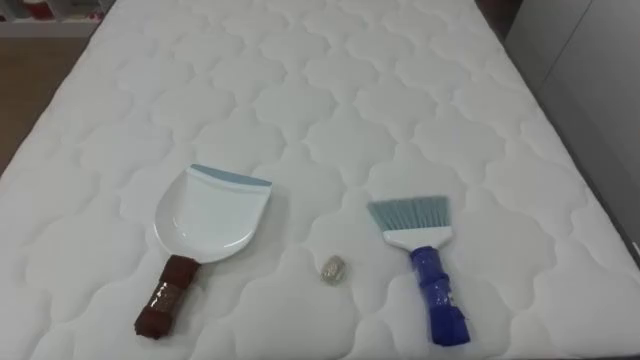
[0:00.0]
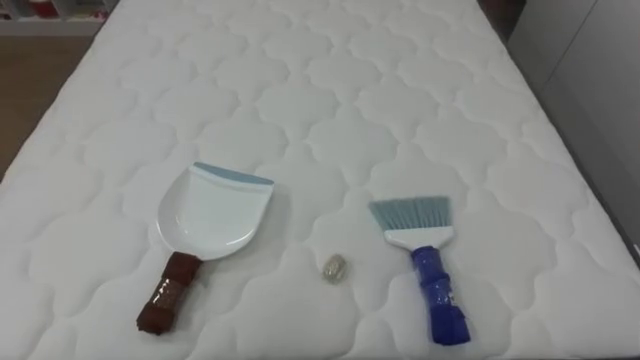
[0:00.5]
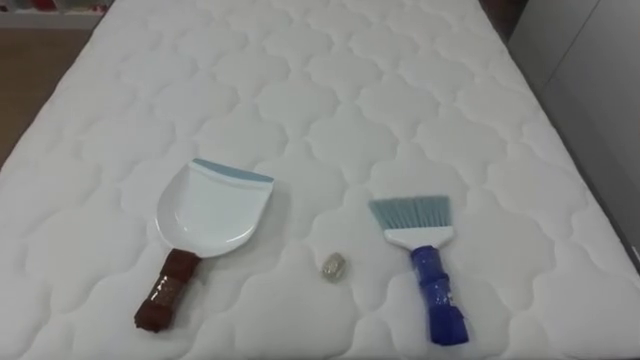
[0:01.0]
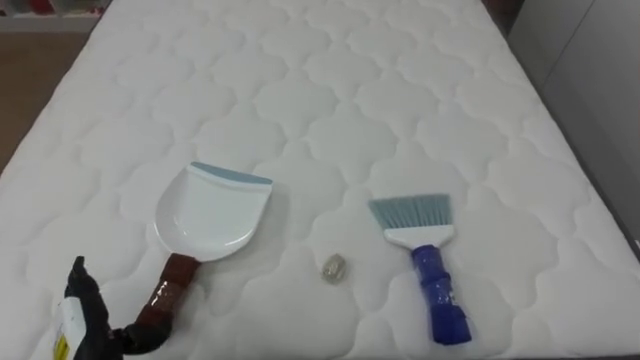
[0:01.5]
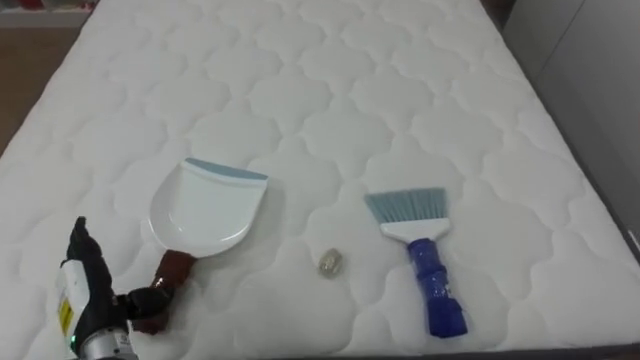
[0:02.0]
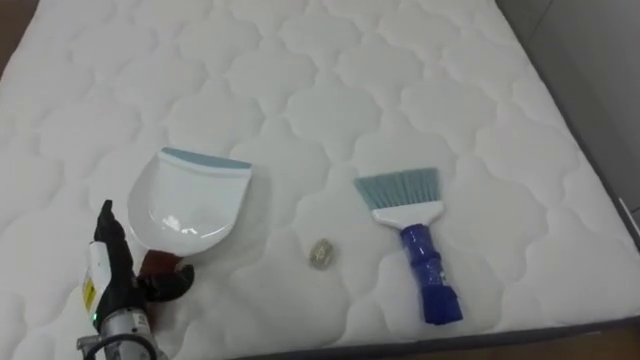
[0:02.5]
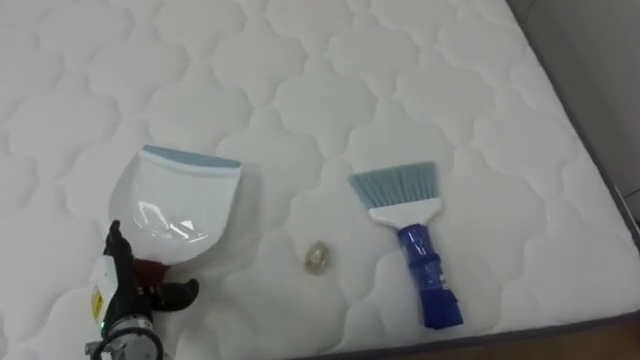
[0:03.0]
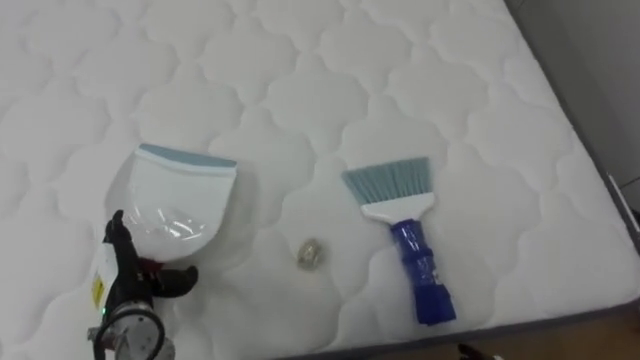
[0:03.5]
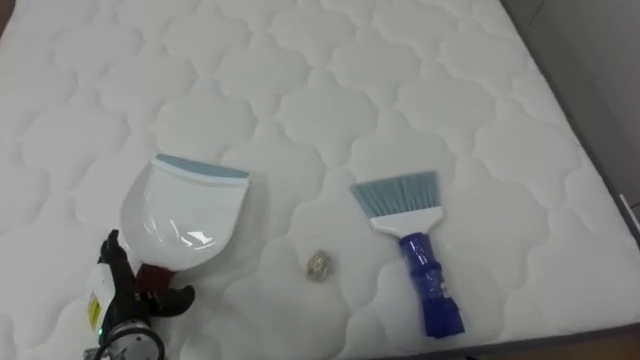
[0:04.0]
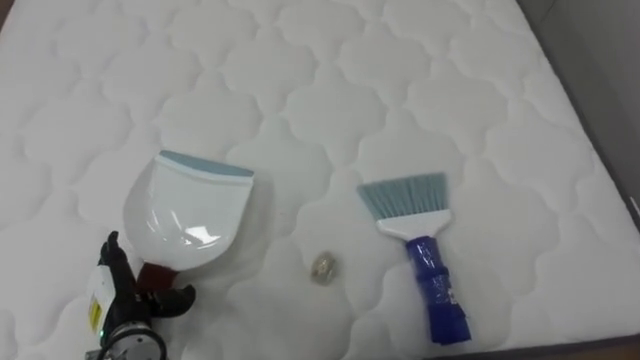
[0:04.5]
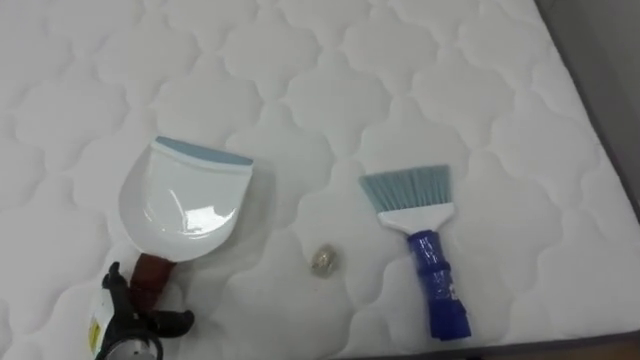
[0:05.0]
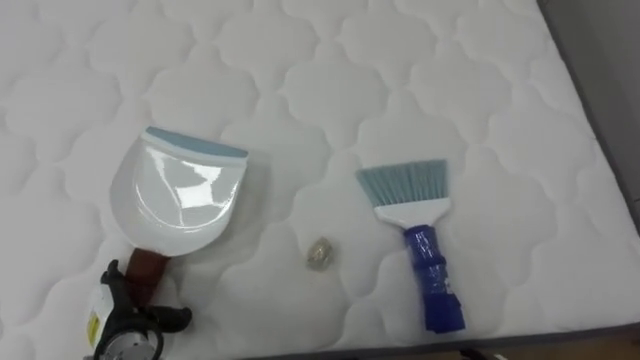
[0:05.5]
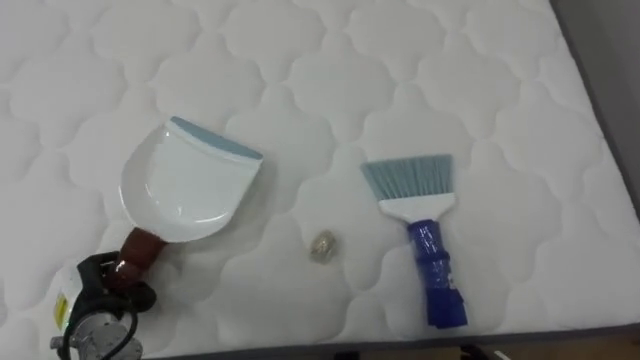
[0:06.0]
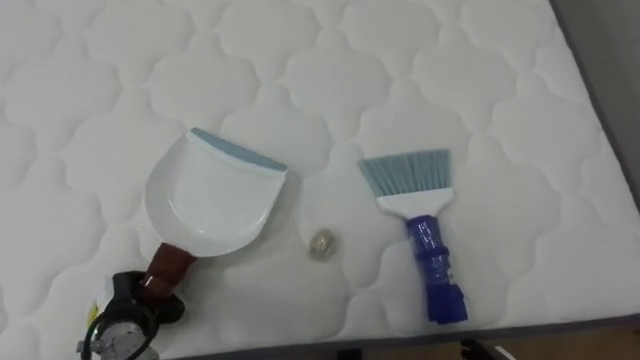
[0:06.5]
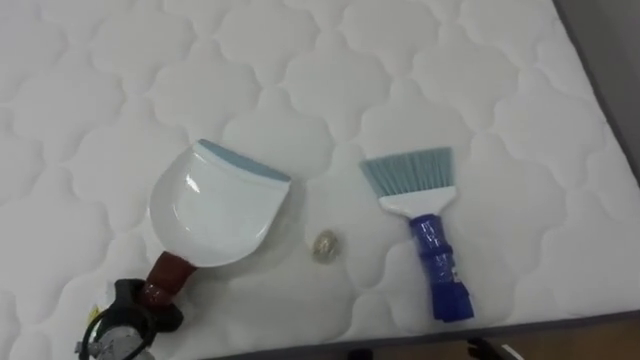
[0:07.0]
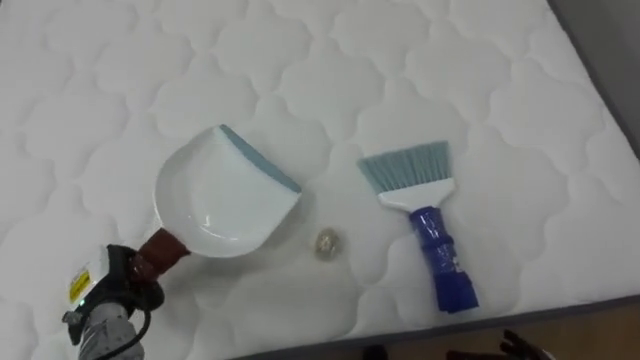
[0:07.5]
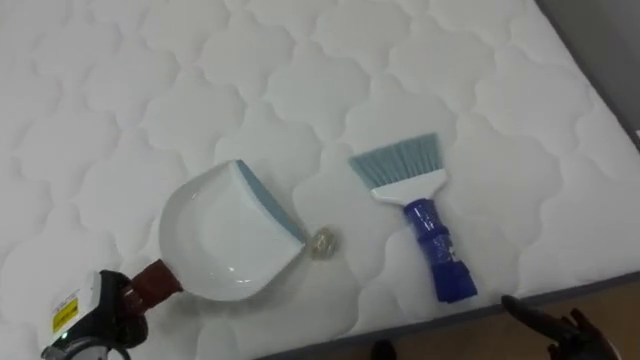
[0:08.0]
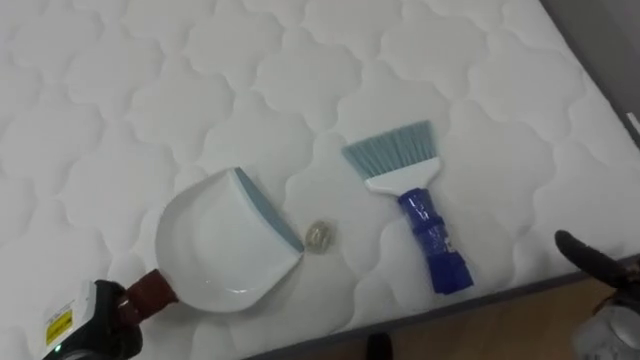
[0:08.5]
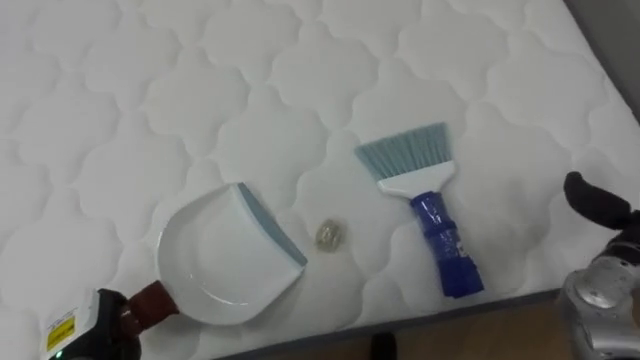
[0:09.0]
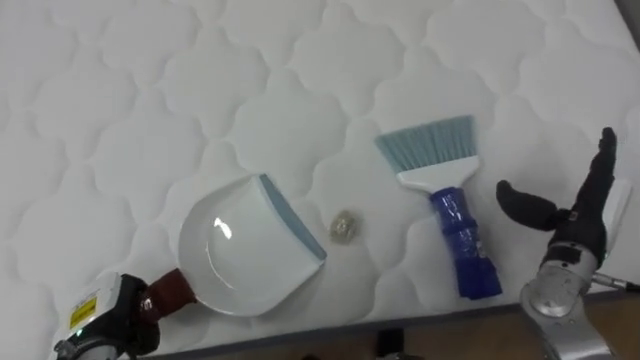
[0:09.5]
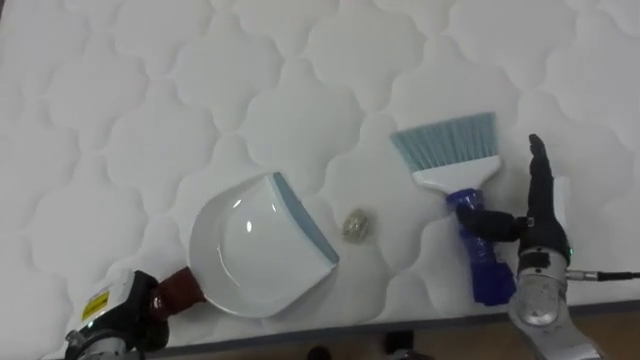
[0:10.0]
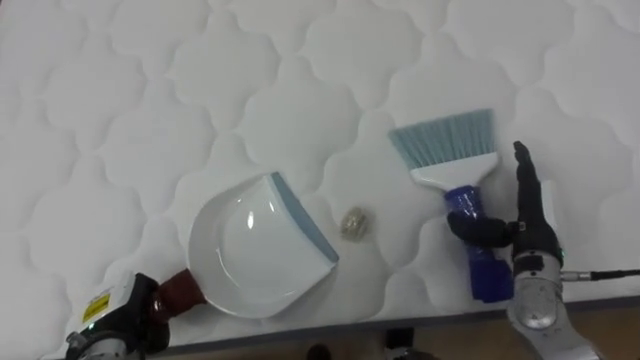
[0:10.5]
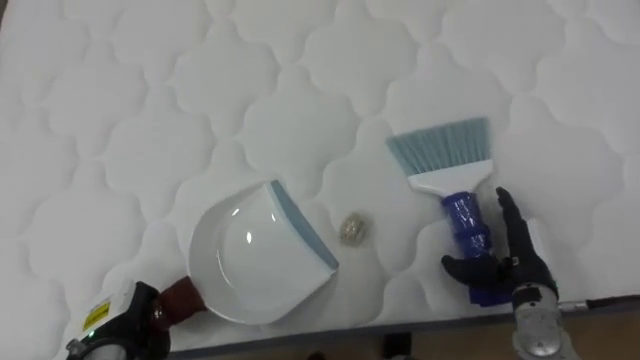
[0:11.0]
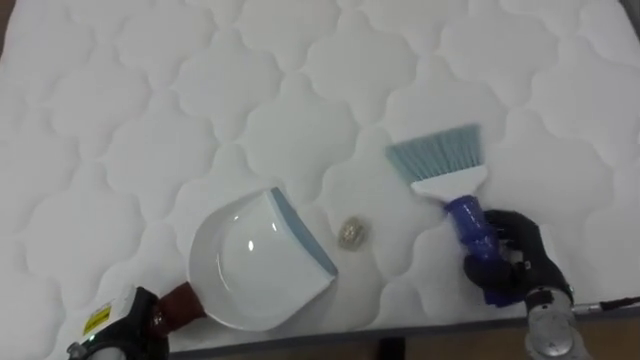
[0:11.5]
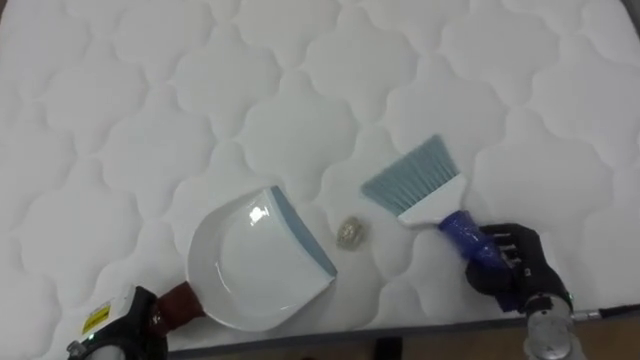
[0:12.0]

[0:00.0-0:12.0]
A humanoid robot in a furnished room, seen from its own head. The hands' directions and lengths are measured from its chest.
Task of the whole recording: Pick up the brush on your right and the dustpan on your left. Use the brush to sweep the crumpled paper on the bed into the dustpan, then turn left and empty it into the basket.
0:04.0 to 0:06.0: The left hand closes its fingers.
0:06.0 to 0:08.0: The left hand closes up.
0:10.0 to 0:12.0: The right hand heads downward, covering roughly 10 cm, and closes up.

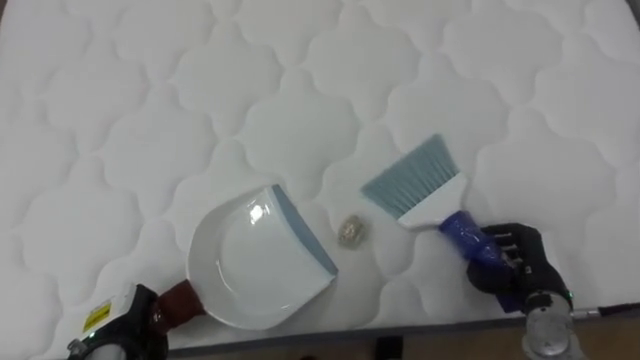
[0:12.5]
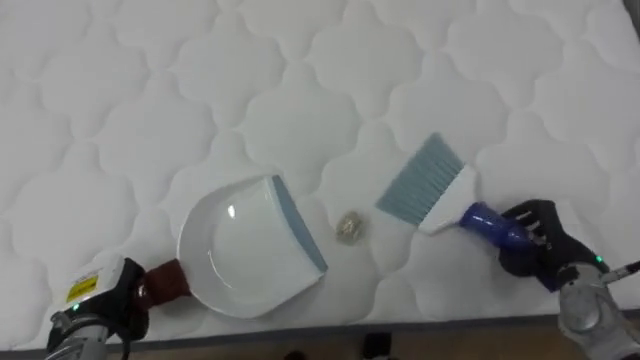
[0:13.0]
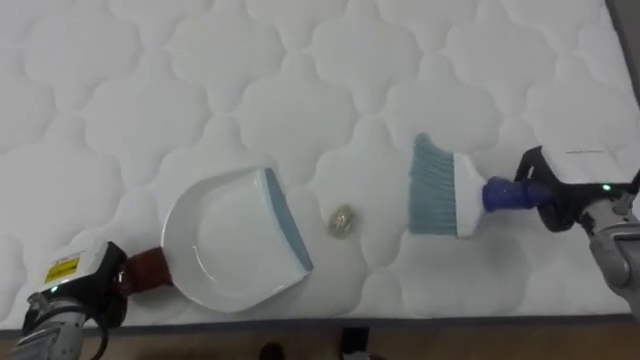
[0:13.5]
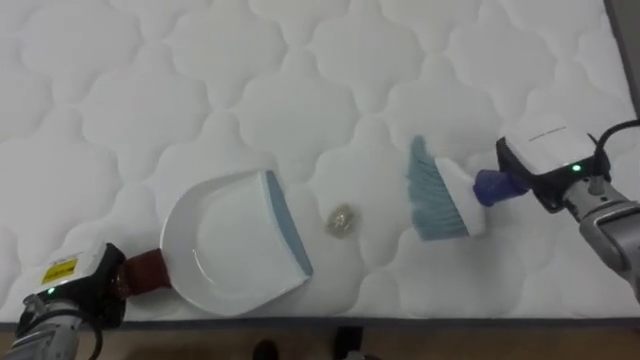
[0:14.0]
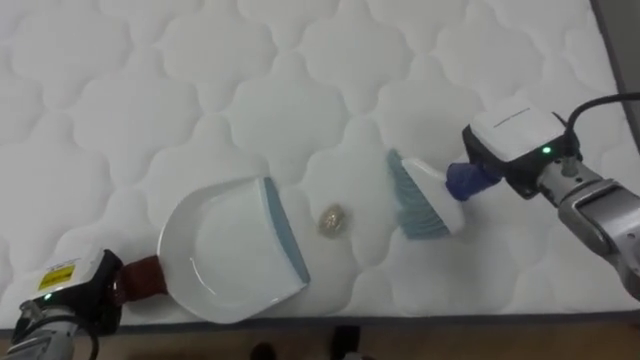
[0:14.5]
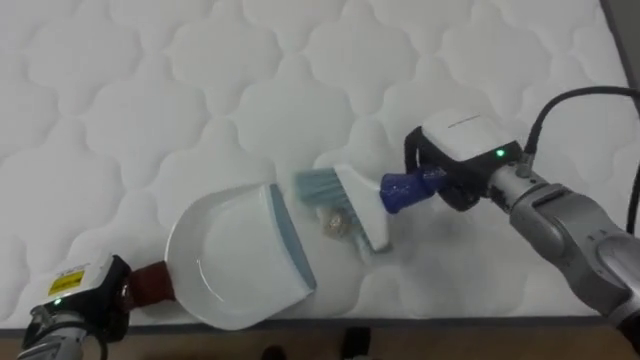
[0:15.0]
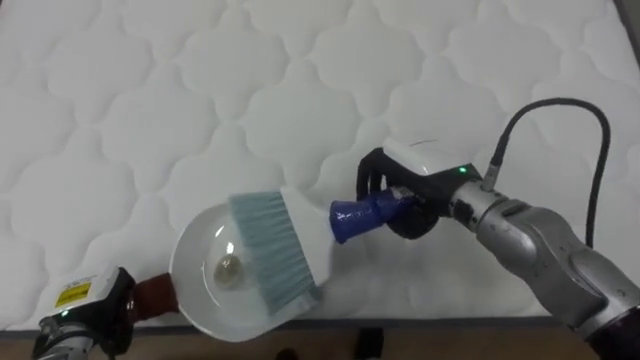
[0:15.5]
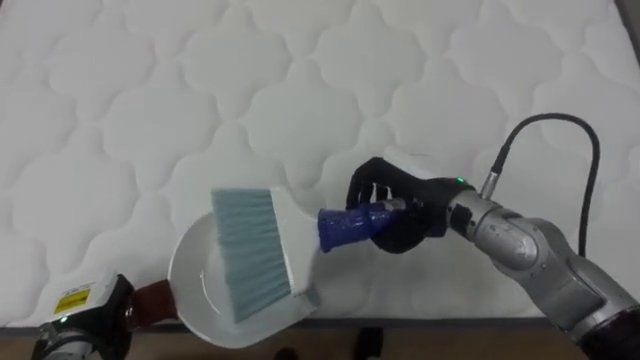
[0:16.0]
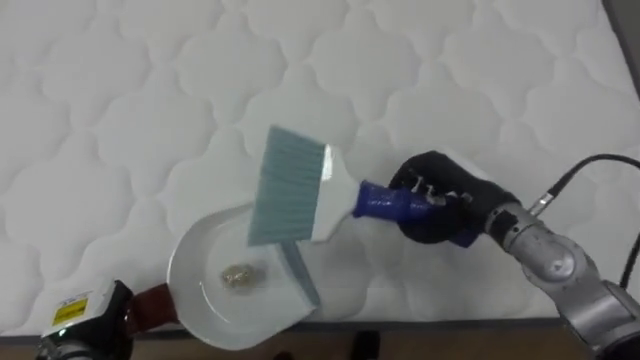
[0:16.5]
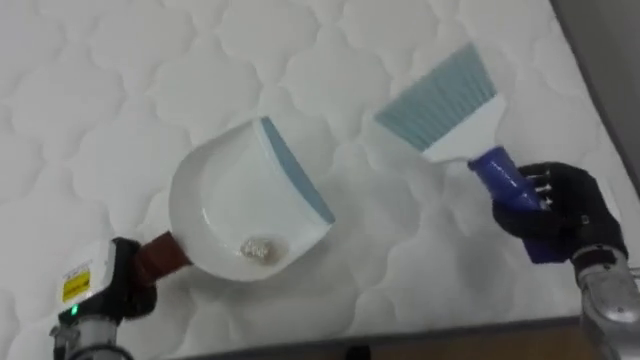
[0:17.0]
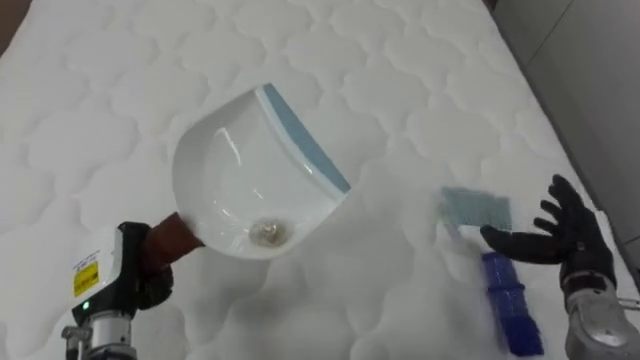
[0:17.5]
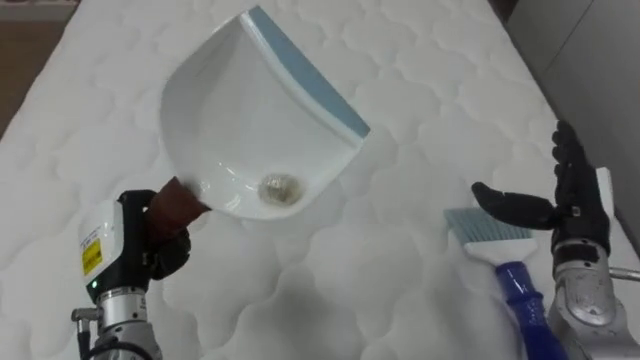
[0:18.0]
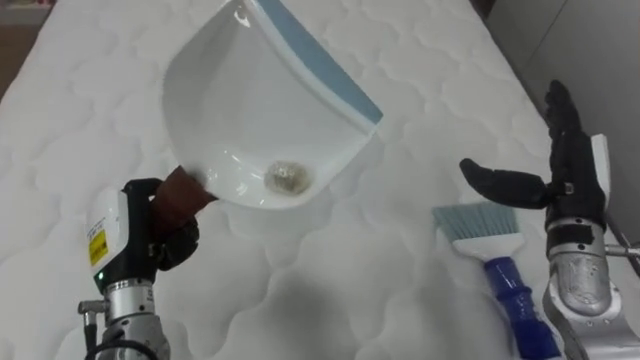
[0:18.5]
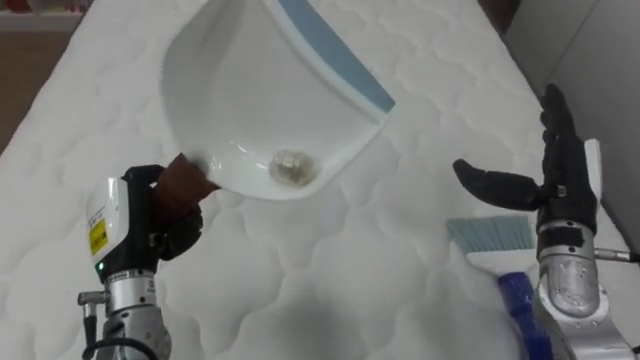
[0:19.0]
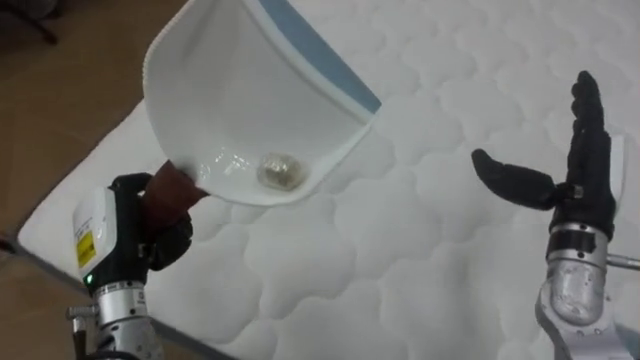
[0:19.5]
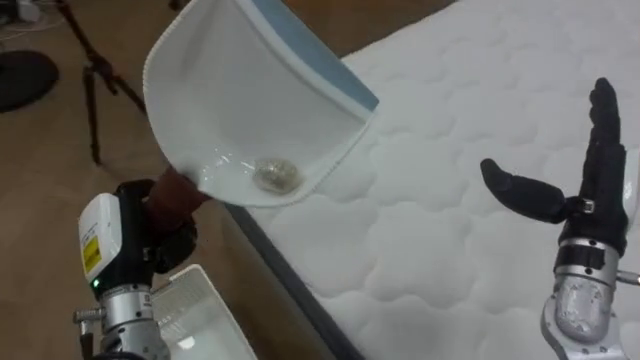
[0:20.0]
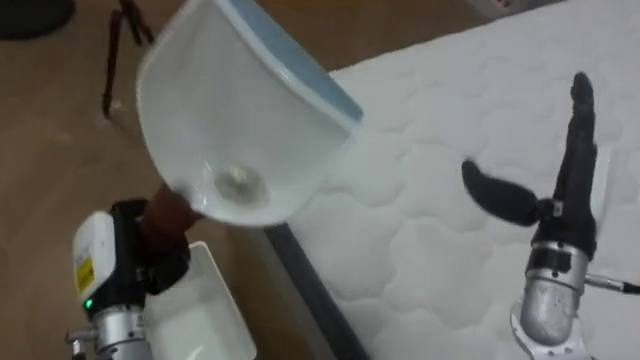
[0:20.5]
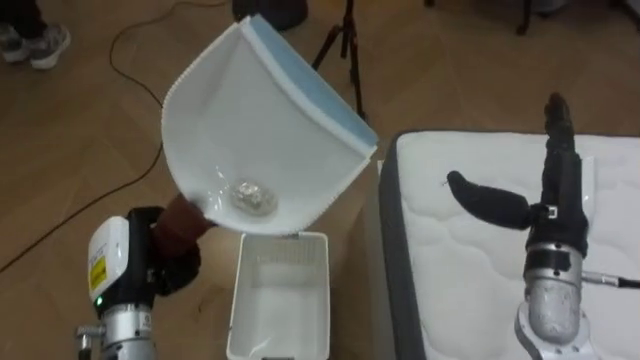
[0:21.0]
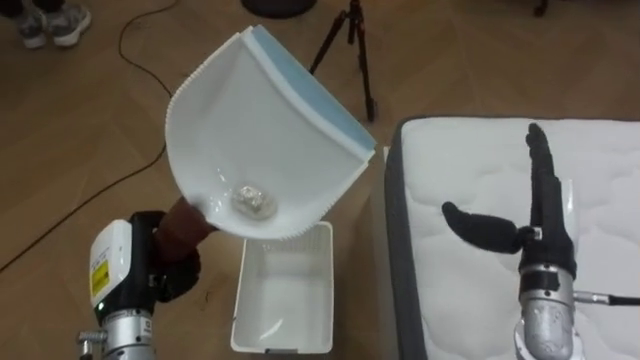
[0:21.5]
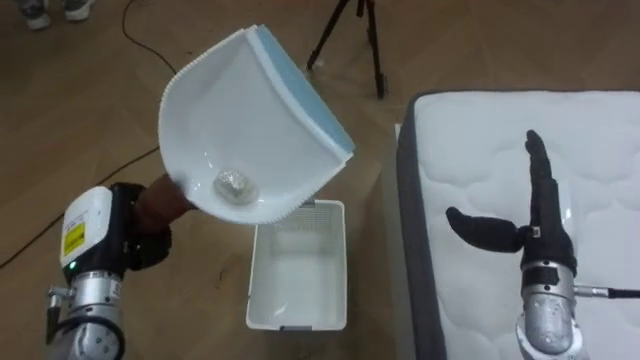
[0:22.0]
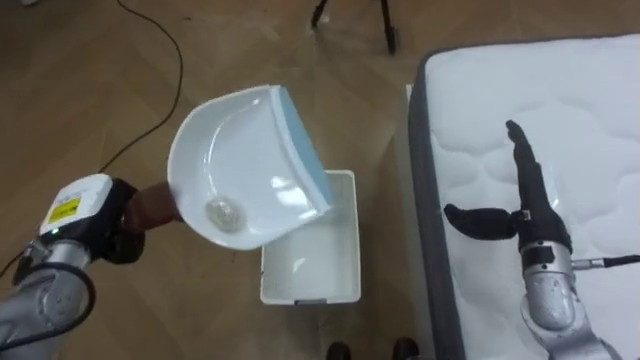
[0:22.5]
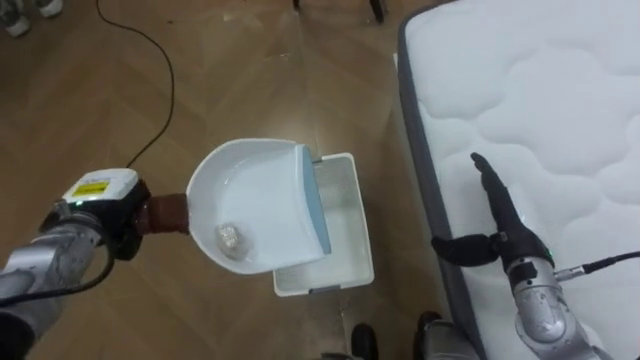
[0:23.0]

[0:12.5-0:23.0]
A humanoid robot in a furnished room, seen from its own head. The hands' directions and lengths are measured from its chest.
Task of the whole recording: Pick up the brush on your right and the dustpan on your left. Use the brush to sweep the crumpled paper on the bed into the dustpan, then turn left and empty it into the basket.
0:12.5 to 0:14.5: The right hand is displaced upward and forward by roughly 20 cm, while the left hand heads upward, covering some 5 cm.
0:14.5 to 0:16.5: The right hand goes approximately 5 cm downward and to the left.
0:16.5 to 0:19.0: The right hand is displaced to the right by roughly 10 cm, and opens; the left hand heads upward, to the right and forward, covering about 15 cm.
0:19.0 to 0:21.0: The robot rotates about 85 degrees to its left.
0:21.0 to 0:23.0: The right hand goes approximately 10 cm downward. Meanwhile the left hand heads forward, covering about 10 cm.
